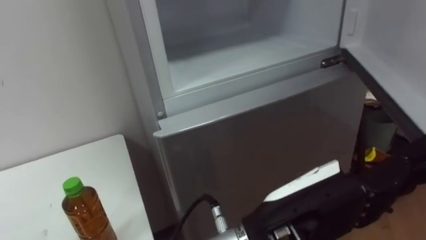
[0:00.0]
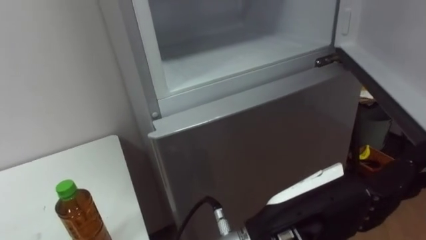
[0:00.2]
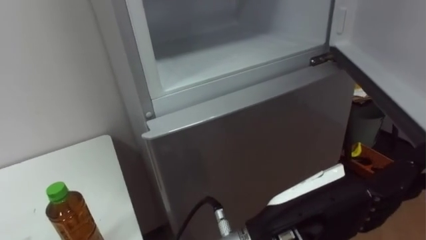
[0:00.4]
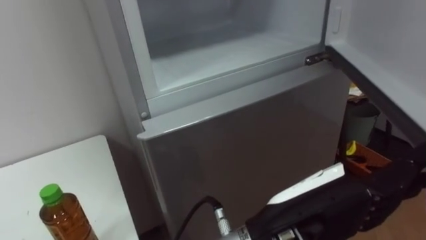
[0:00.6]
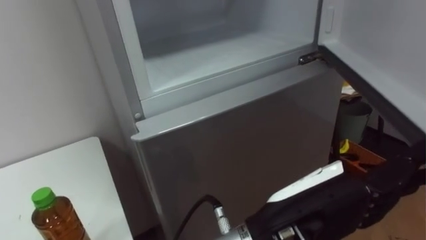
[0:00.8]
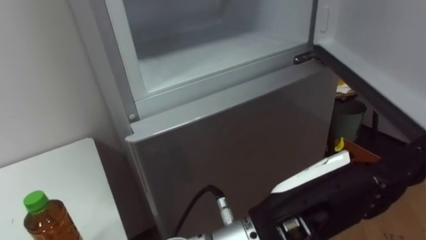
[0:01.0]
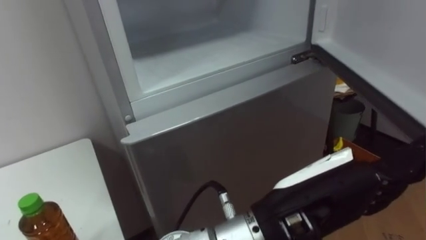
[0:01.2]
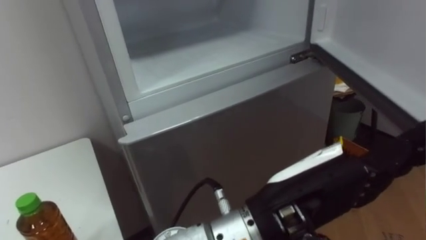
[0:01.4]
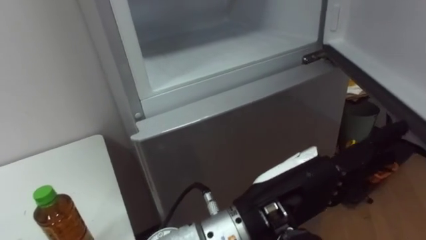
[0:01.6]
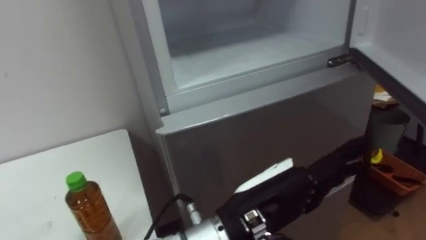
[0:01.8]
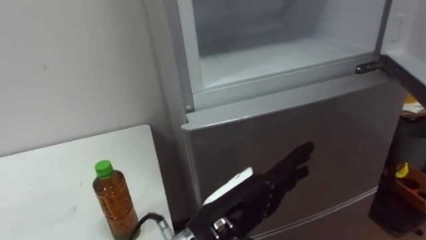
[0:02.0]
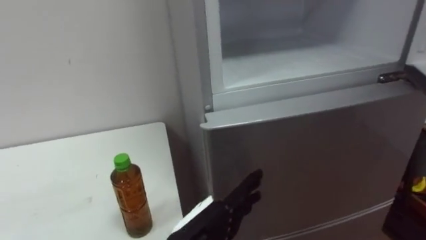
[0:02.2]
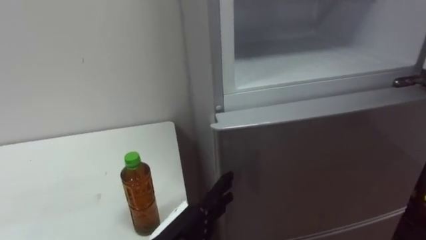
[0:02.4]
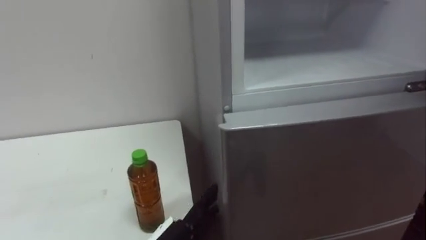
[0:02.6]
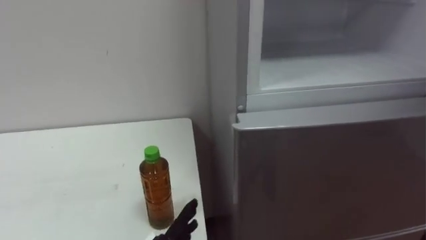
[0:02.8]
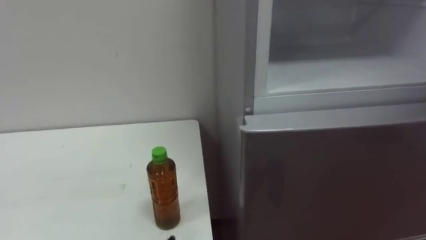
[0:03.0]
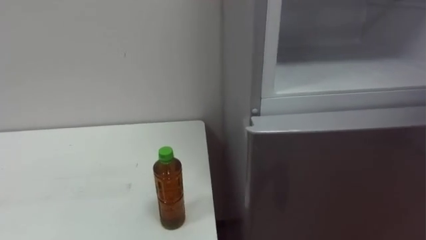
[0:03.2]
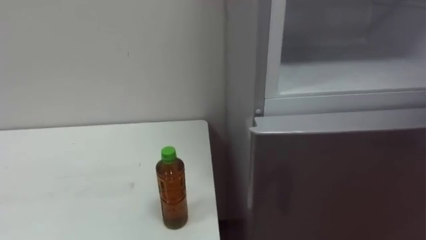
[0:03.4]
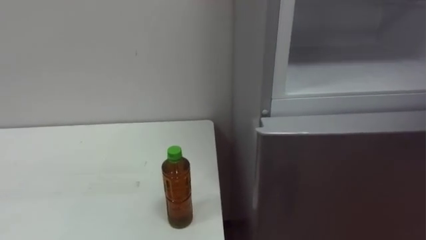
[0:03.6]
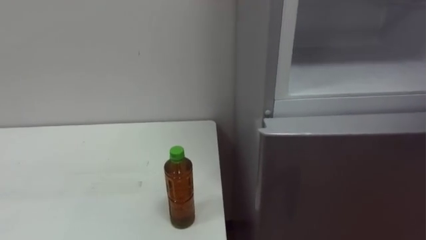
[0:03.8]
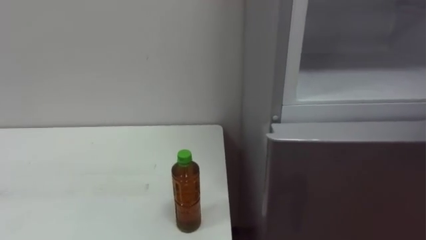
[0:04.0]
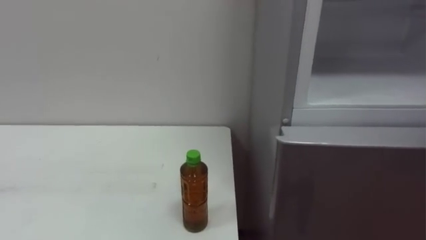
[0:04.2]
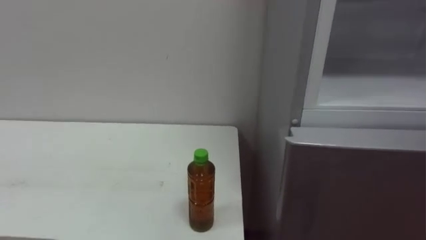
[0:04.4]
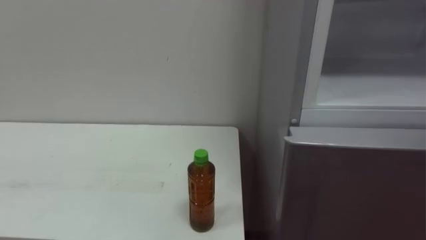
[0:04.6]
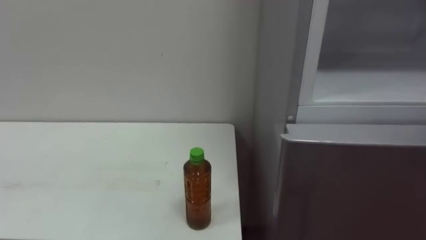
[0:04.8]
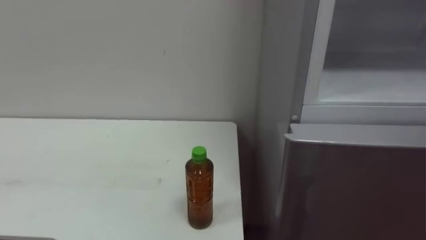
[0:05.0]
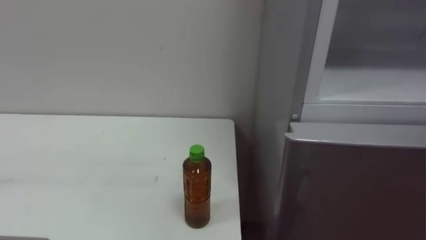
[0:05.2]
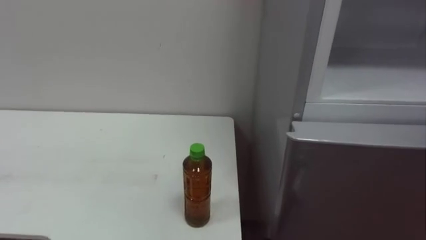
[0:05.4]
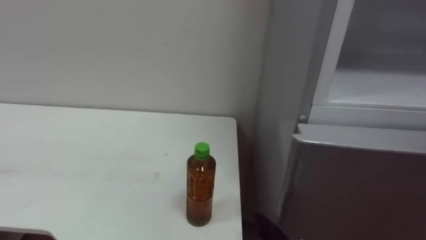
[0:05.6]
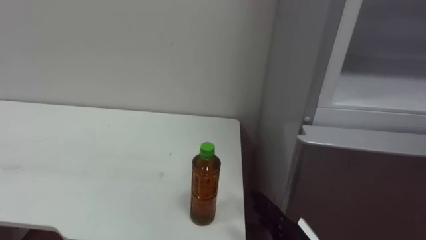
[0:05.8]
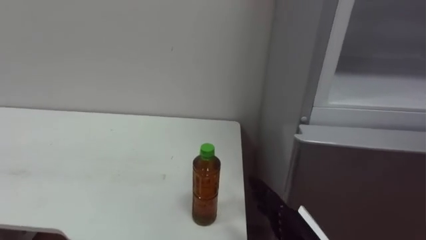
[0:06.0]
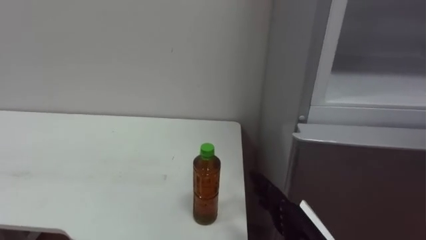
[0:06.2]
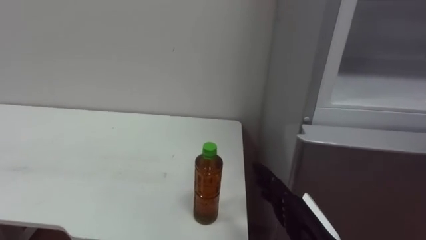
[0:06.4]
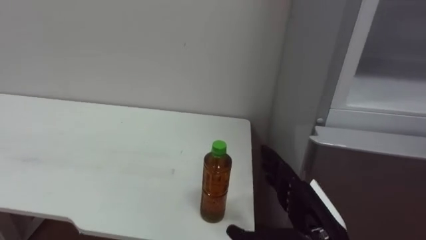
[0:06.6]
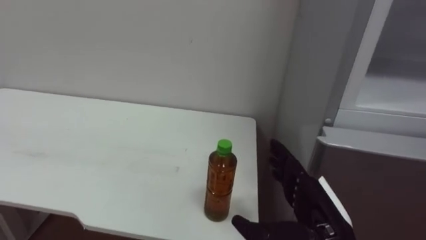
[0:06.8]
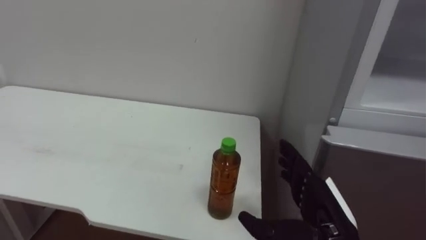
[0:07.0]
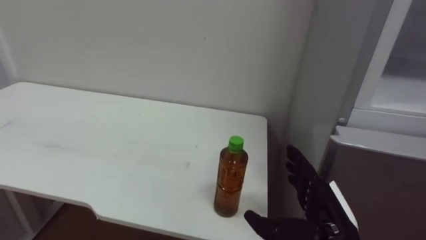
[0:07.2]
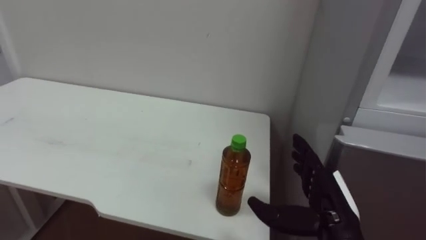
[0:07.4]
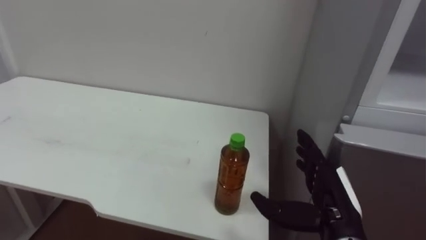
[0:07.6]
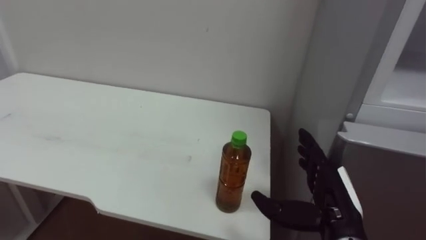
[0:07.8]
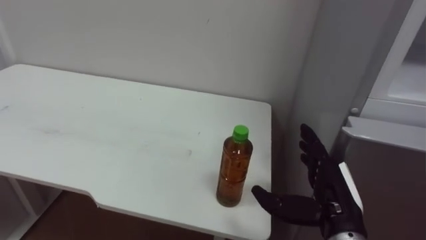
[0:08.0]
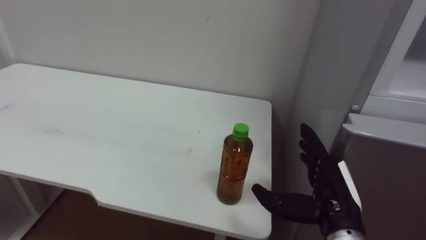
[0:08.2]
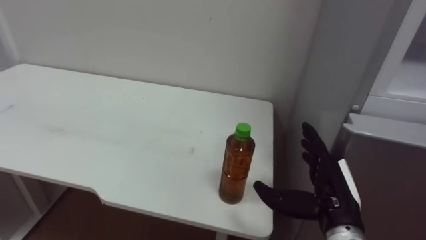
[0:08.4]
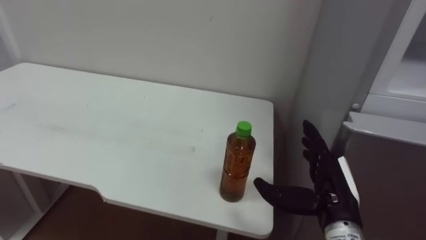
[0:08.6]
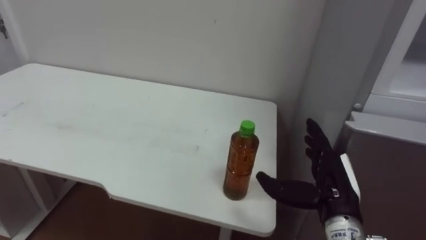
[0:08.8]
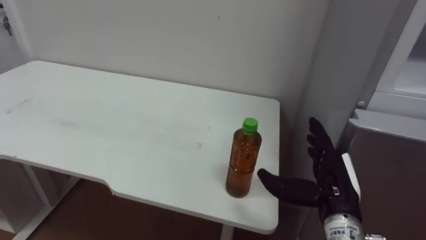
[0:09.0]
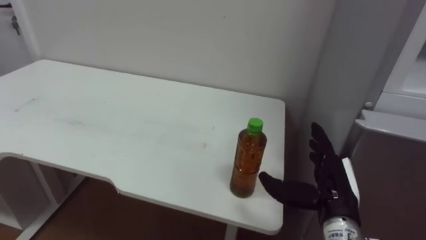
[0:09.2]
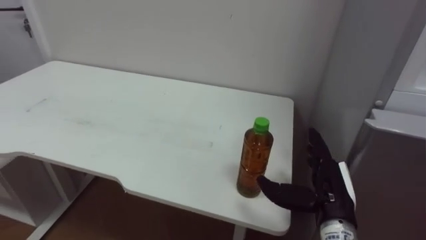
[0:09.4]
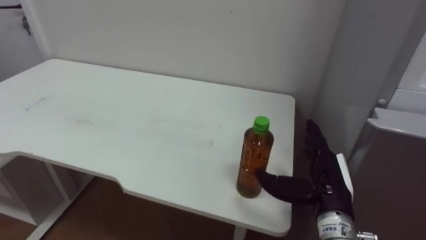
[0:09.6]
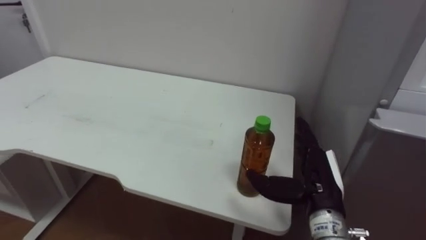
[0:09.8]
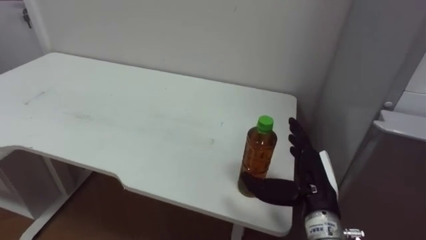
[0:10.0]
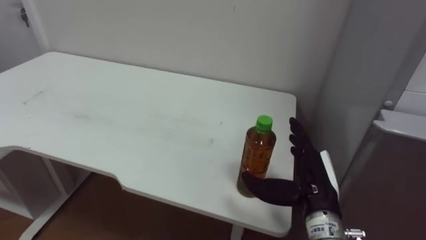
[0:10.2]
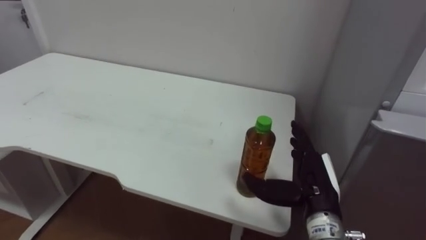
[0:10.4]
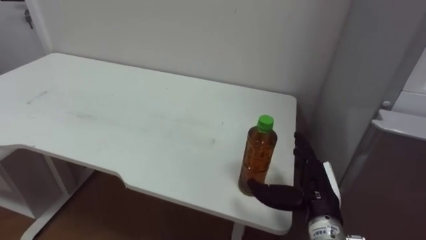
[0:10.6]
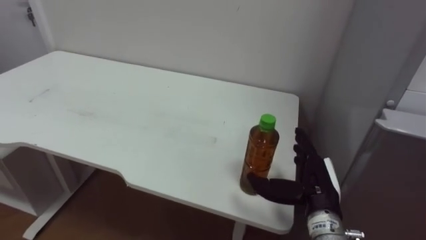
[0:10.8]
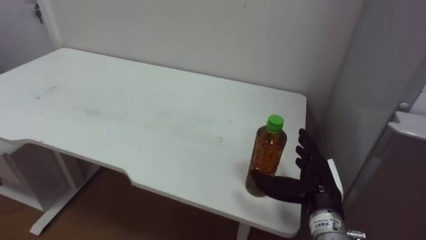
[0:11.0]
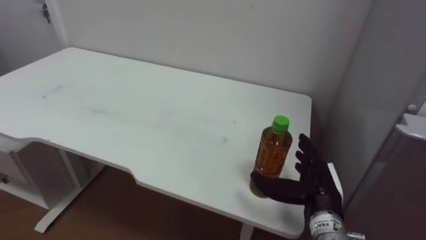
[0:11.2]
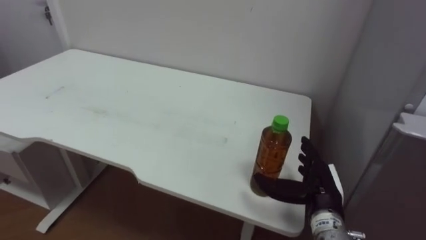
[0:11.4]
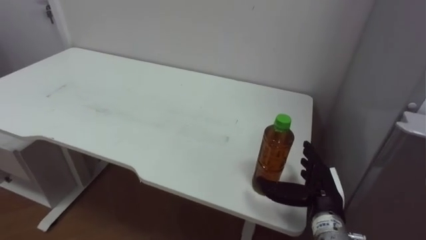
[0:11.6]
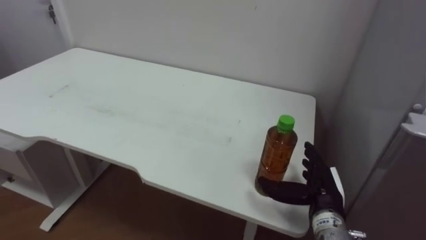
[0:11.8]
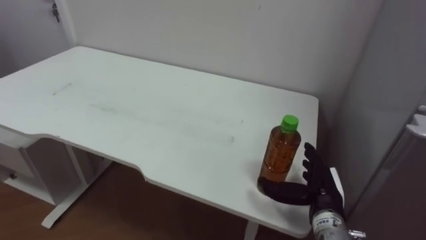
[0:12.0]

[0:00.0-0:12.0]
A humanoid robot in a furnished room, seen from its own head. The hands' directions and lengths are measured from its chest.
Task of the whole recording: Open the upper refrigerator door, put the drink from the table into the refrigerator, and then close the refrigerator door.
0:06.0 to 0:07.6: The right hand shifts by roughly 5 cm.
0:10.4 to 0:12.0: The right hand changes place by about 5 cm.

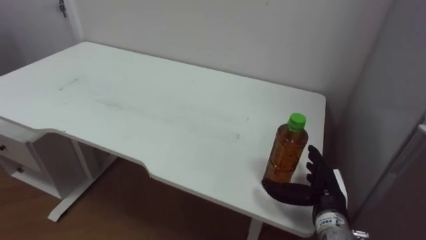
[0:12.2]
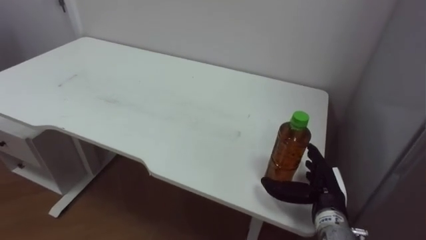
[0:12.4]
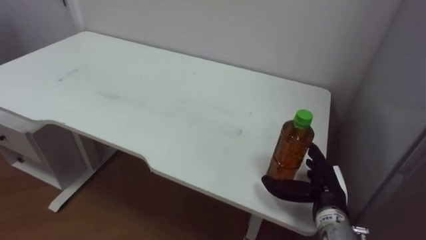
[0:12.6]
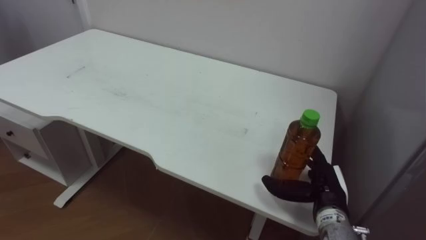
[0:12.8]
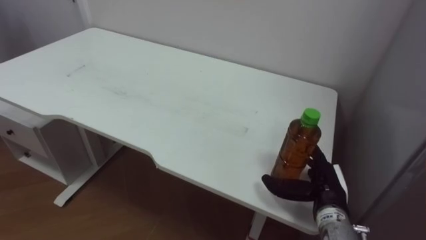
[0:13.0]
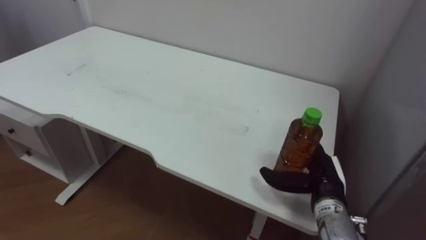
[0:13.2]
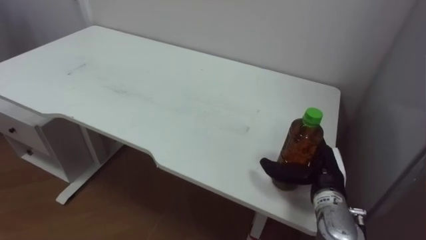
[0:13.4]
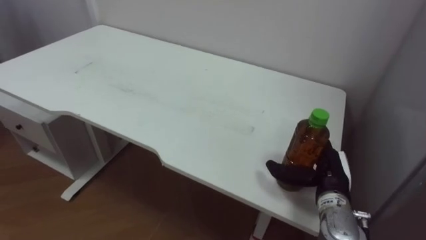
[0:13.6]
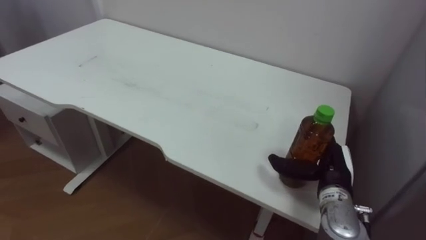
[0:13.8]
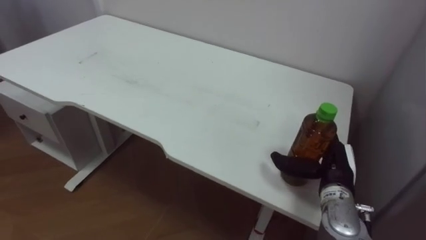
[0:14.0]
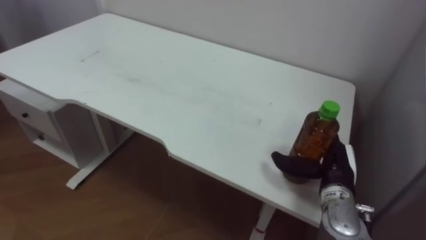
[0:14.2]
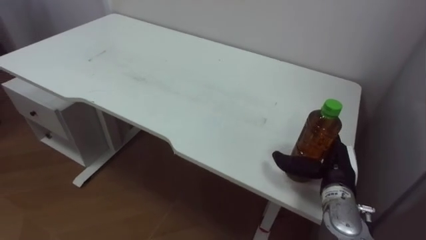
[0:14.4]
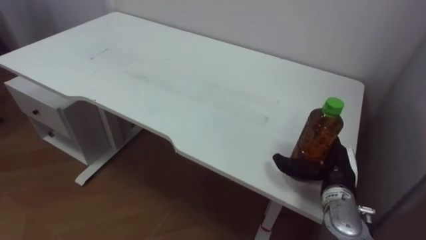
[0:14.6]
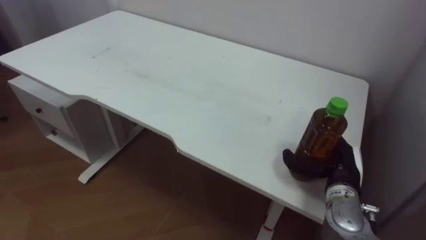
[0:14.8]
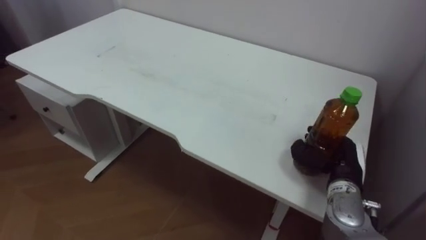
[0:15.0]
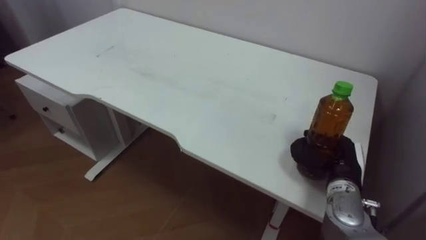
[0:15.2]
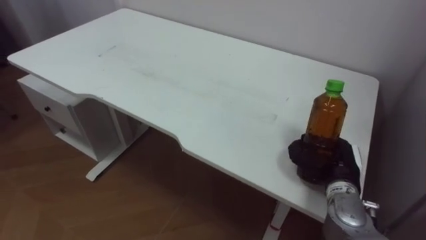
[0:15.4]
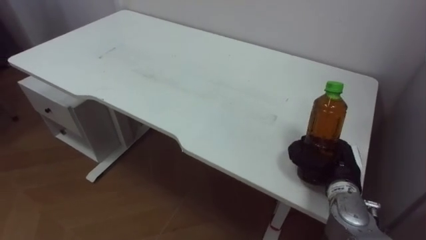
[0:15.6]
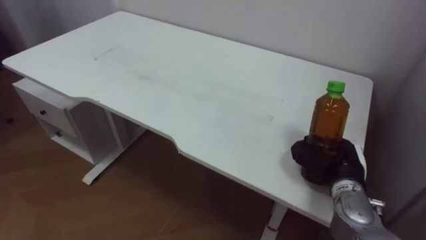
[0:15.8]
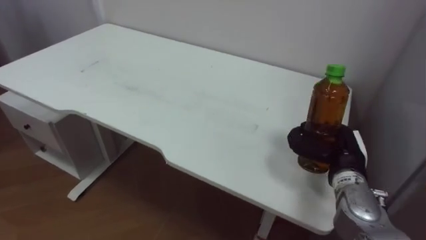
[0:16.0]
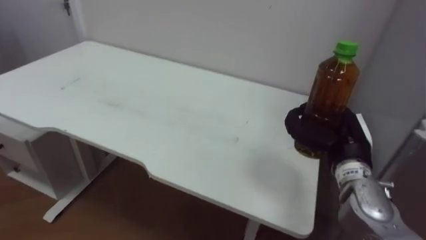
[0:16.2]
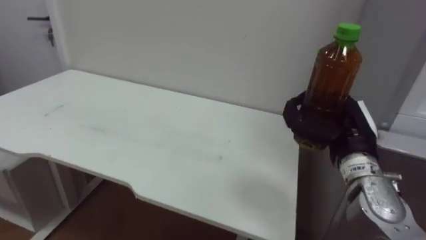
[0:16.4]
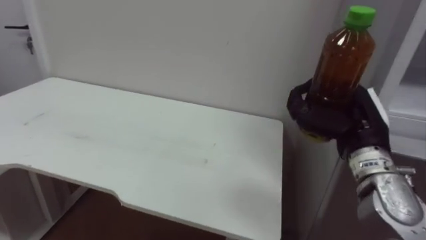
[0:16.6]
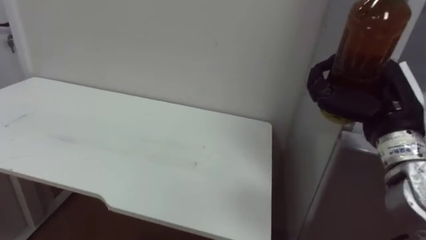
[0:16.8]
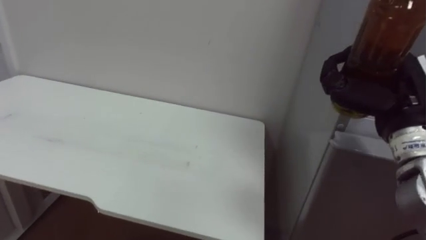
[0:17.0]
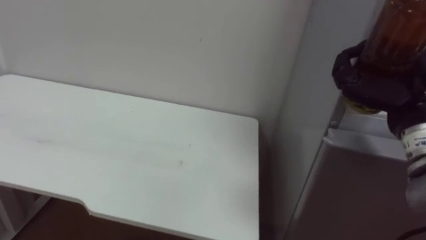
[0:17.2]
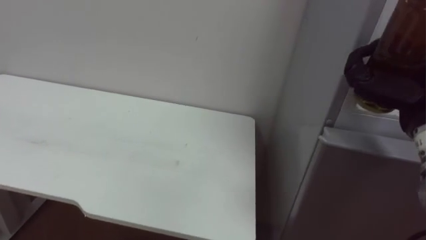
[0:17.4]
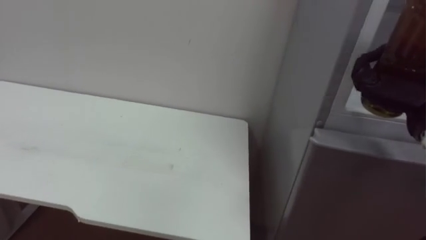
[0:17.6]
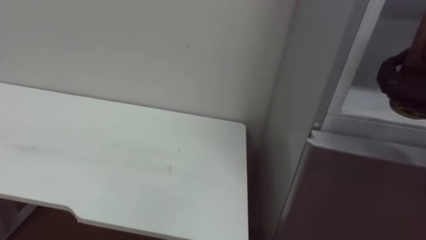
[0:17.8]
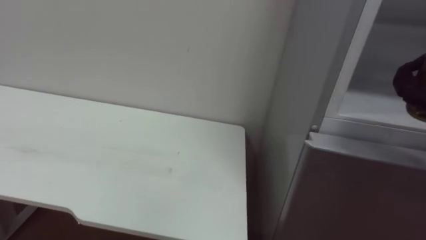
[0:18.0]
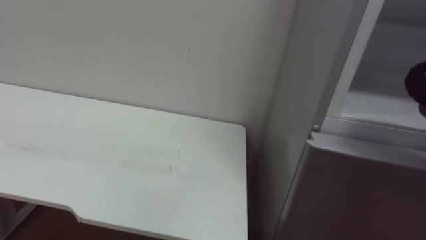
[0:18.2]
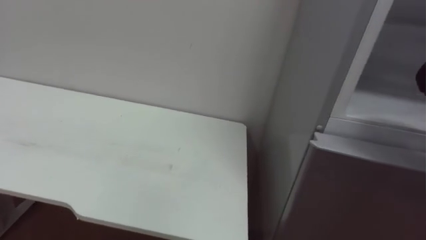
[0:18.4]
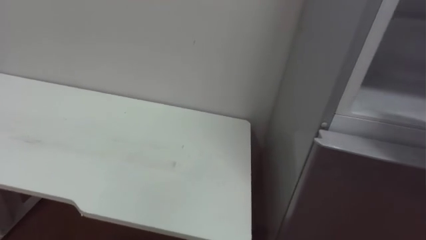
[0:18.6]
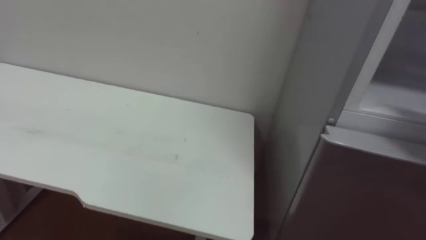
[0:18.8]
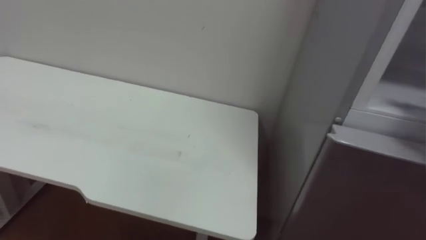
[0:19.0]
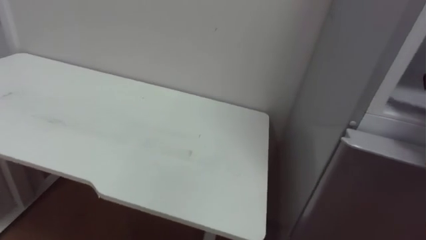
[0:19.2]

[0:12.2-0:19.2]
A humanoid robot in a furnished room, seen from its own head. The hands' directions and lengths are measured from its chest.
Task of the whole recording: Open the upper refrigerator door, put the drink from the table into the refrigerator, and then close the refrigerator door.
0:13.6 to 0:15.0: The right hand closes its fingers.
0:15.0 to 0:16.4: The right hand goes some 10 cm upward.
